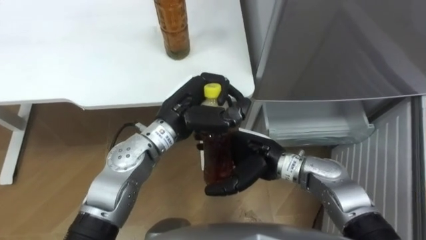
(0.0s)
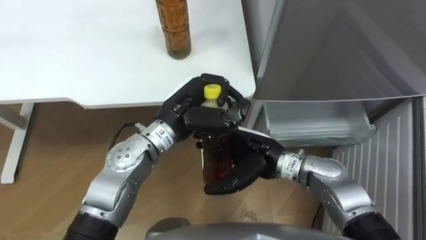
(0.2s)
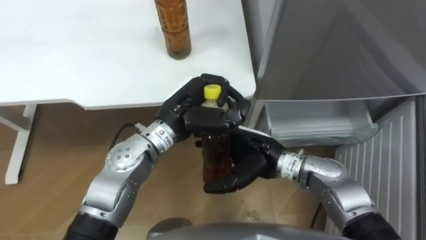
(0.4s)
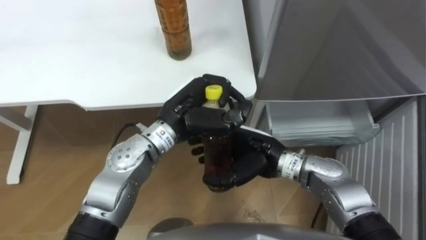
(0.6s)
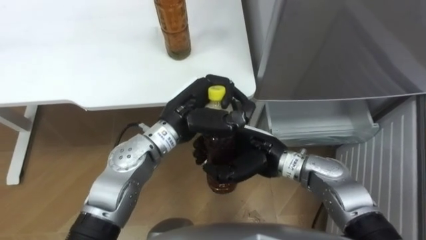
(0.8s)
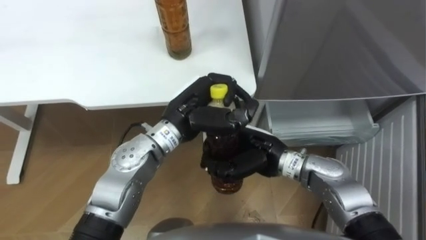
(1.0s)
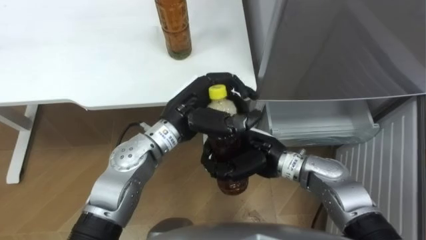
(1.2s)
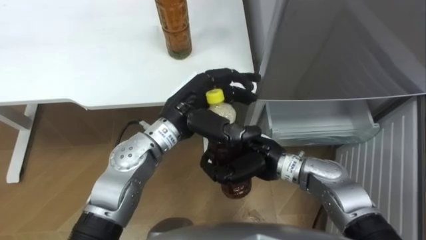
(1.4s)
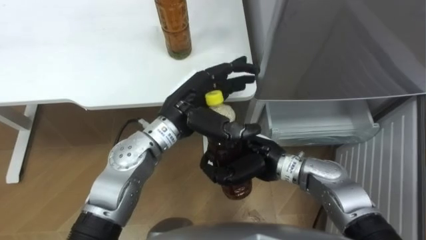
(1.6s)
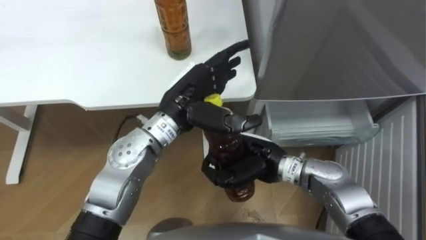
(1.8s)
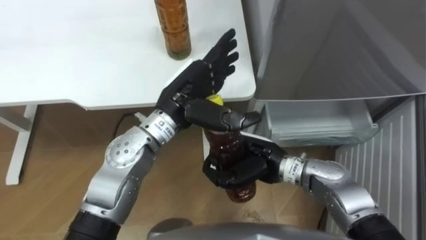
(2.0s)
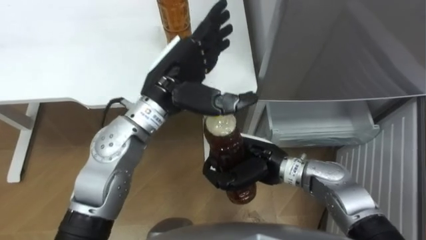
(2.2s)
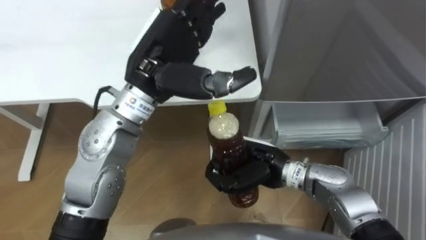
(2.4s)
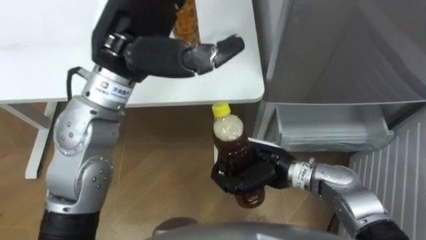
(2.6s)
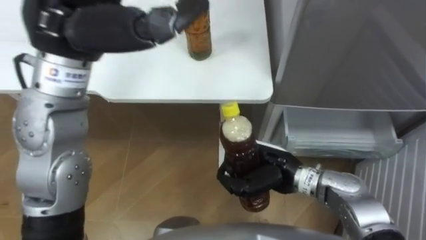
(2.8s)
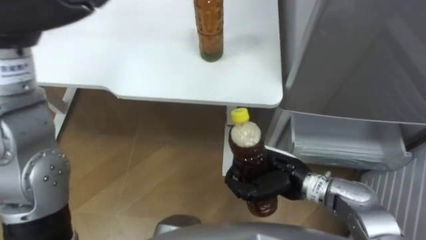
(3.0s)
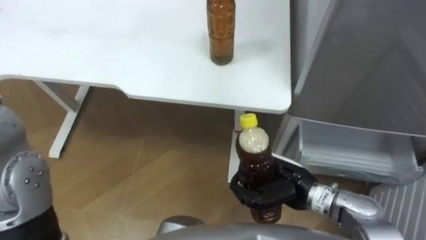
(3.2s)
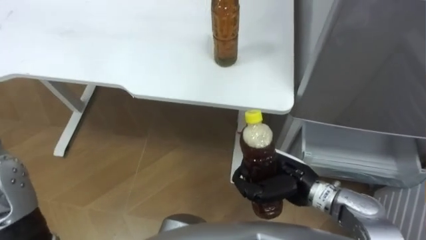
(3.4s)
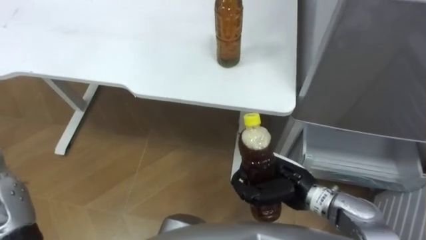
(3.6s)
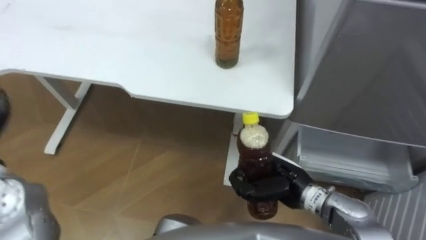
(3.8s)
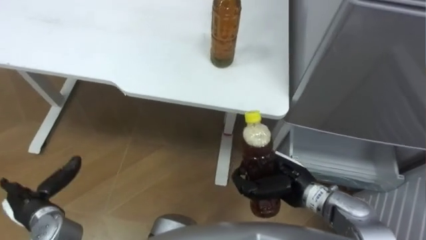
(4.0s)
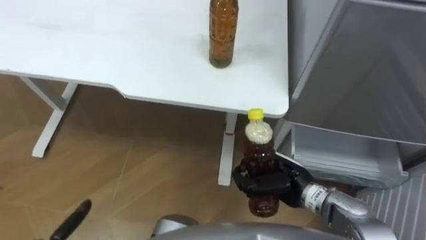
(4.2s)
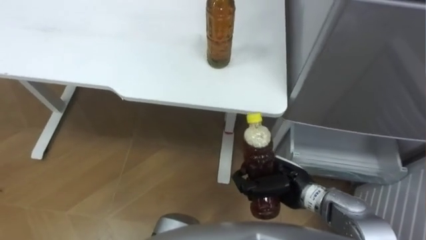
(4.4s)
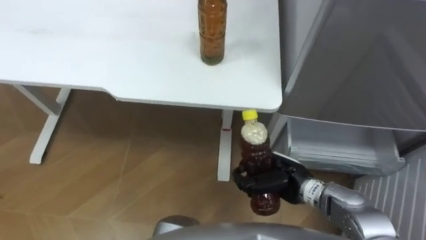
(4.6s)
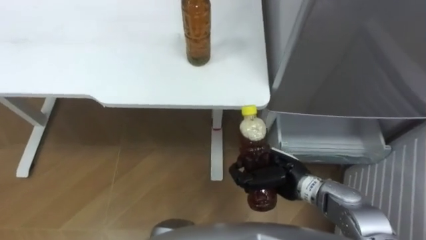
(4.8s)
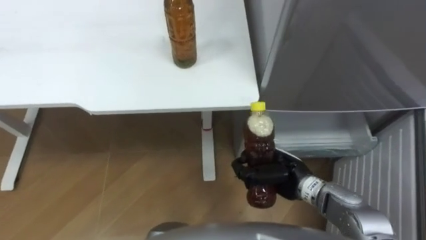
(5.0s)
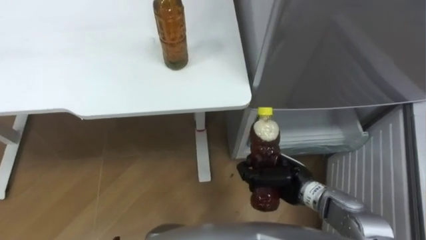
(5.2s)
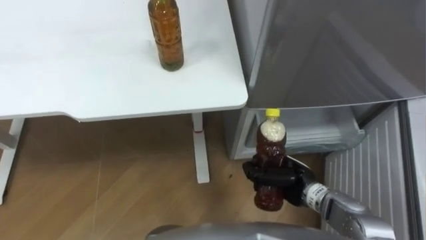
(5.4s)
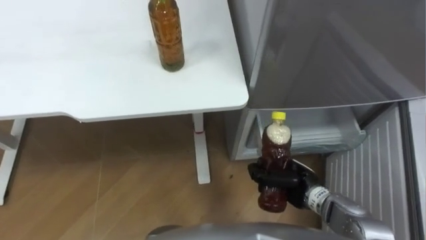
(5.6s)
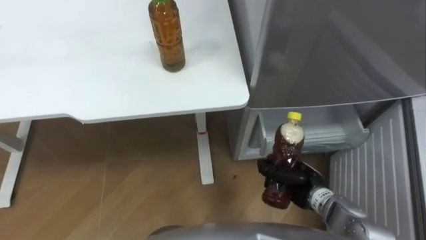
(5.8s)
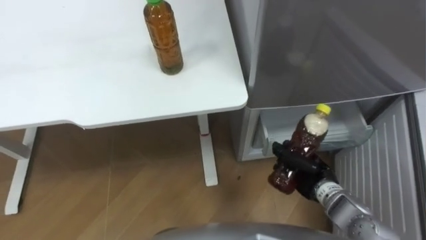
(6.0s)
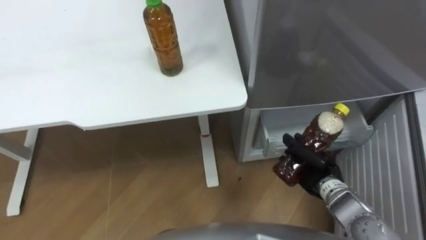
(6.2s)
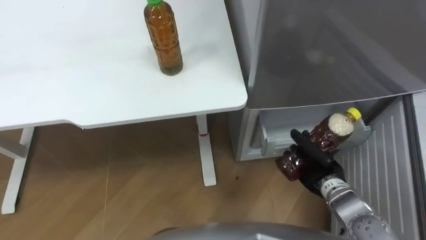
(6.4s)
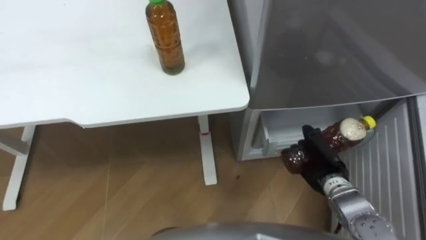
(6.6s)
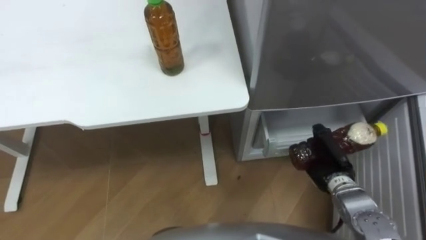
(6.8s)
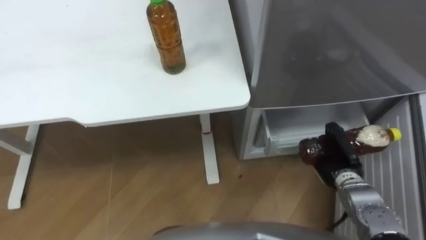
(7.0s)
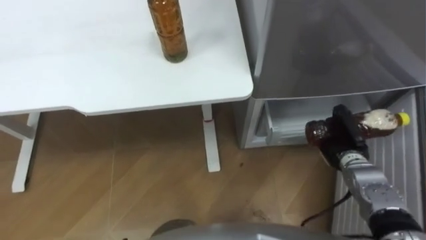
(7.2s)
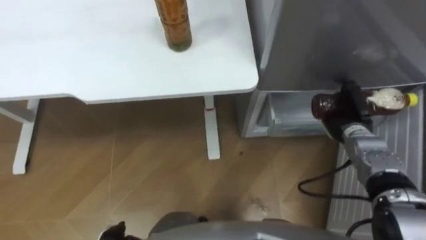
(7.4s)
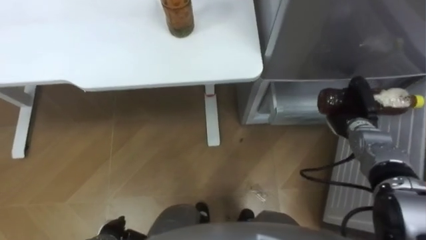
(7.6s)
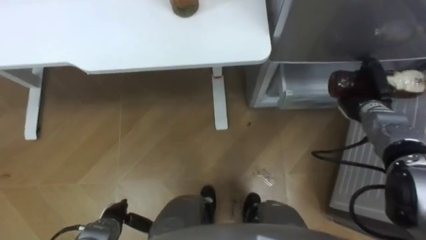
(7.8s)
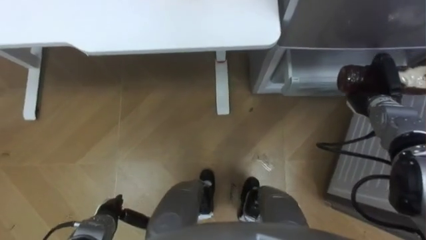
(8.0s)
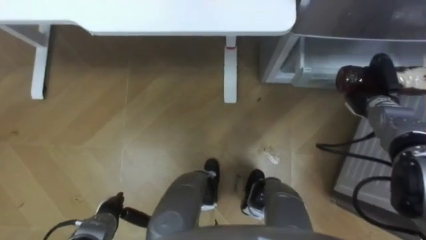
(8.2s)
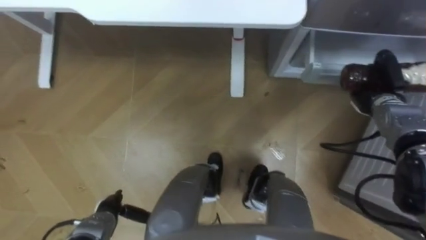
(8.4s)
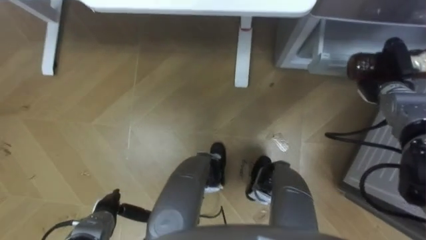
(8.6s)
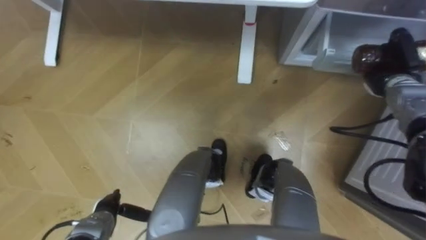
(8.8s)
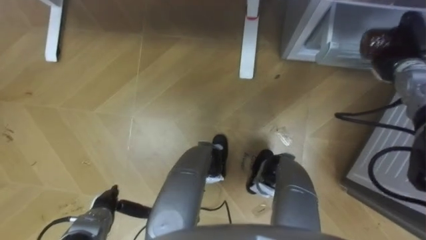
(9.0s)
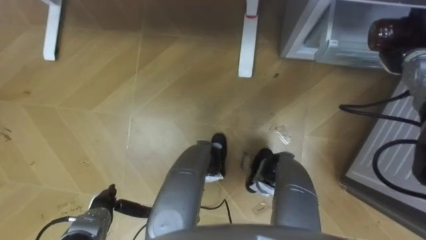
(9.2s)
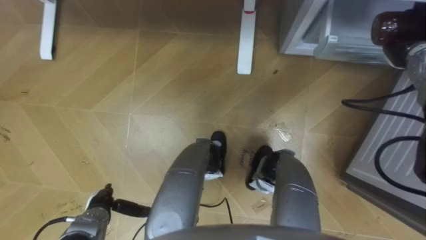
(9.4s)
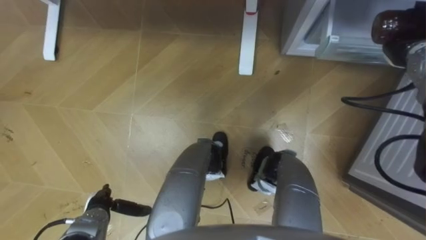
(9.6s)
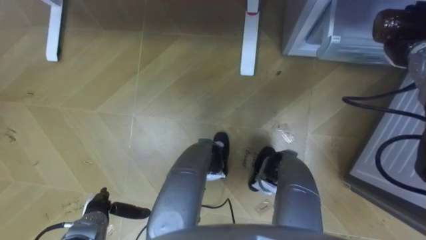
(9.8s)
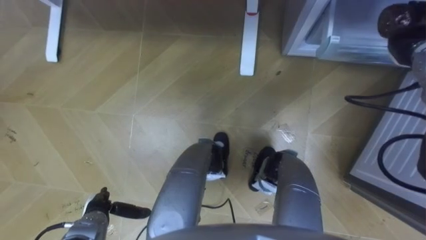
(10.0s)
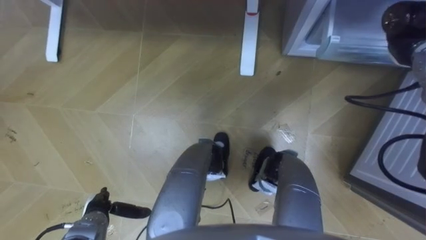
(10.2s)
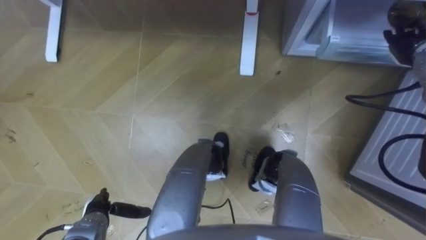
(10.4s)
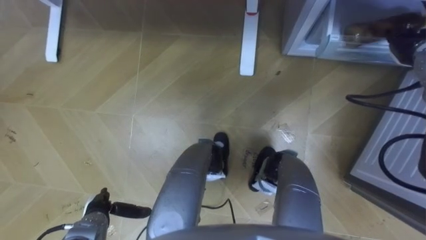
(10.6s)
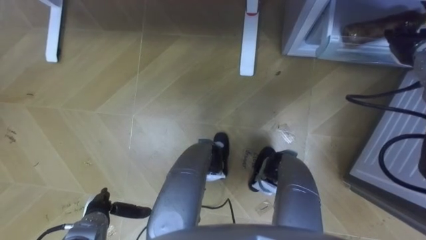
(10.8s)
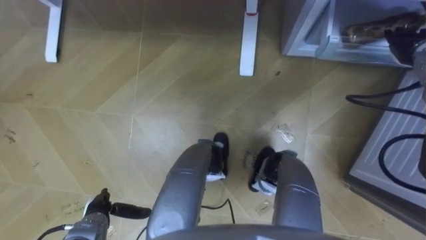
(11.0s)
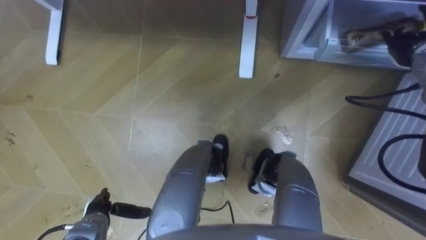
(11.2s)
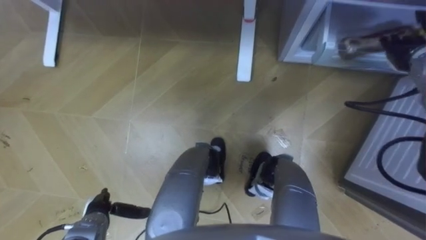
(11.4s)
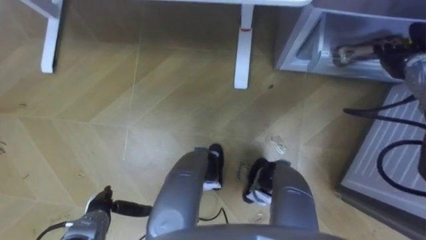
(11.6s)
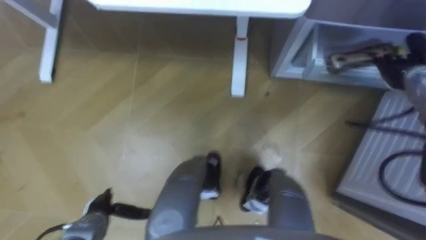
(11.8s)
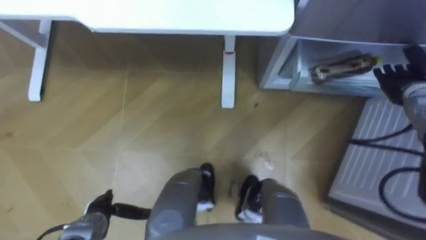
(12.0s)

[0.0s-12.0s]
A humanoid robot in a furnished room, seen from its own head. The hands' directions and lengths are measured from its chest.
Task of the whole recording: Place the drink on the table on the bottom shelf of the refrigerator, then close the drawer and the refrigerator door.
0.0s to 1.6s: The right hand closes; the left hand opens its fingers.
1.6s to 3.0s: The left hand goes about 30 cm upward and to the left. Meanwhile the right hand ends up approximately 5 cm from where it was.
4.4s to 6.0s: The right hand shifts approximately 5 cm to the right.
6.0s to 7.6s: The right hand travels forward and to the right by about 15 cm.
7.6s to 9.0s: The right hand moves upward, forward and to the right, approximately 15 cm.
9.0s to 10.4s: The right hand opens its fingers.
10.4s to 12.0s: The right hand travels downward by roughly 5 cm.

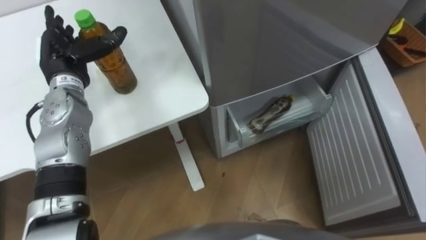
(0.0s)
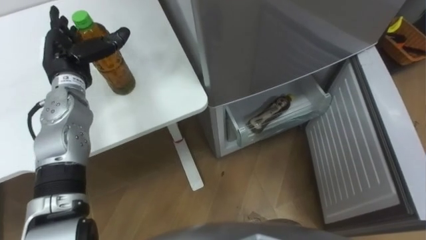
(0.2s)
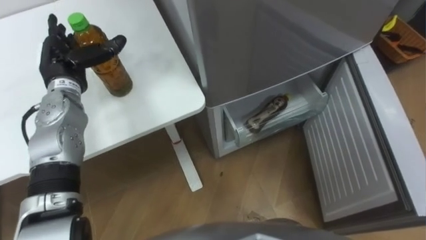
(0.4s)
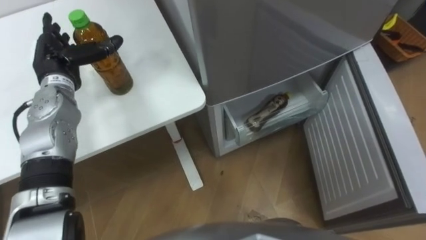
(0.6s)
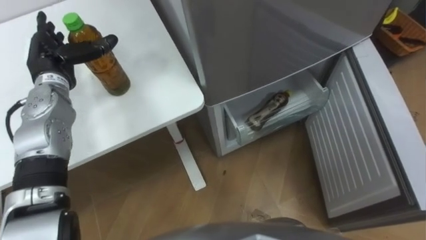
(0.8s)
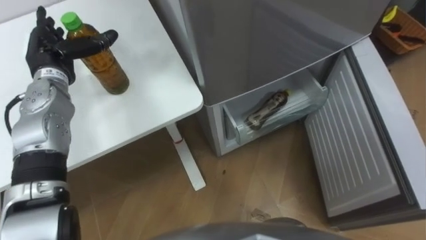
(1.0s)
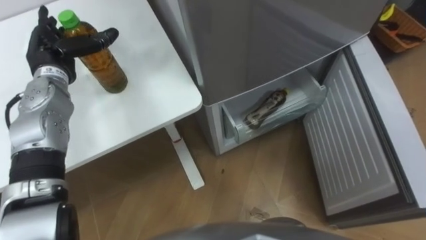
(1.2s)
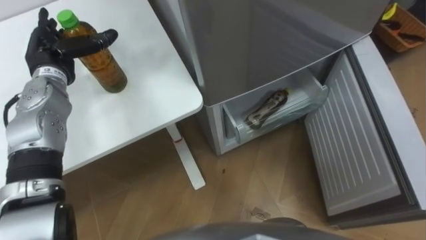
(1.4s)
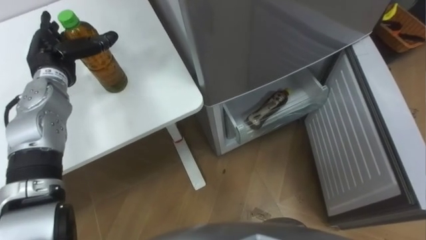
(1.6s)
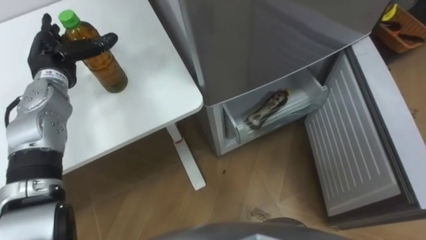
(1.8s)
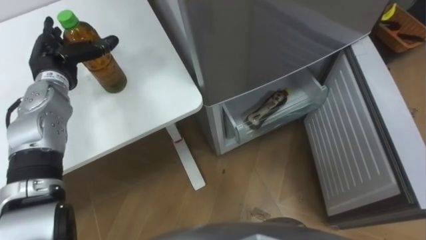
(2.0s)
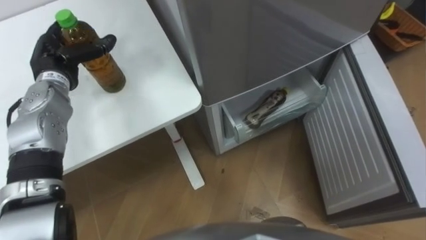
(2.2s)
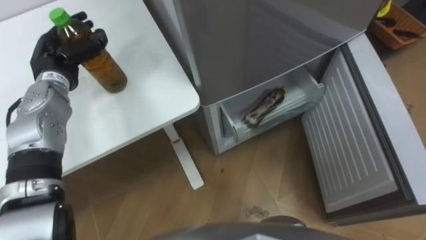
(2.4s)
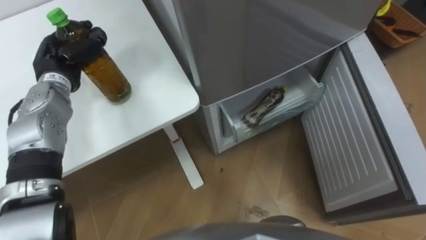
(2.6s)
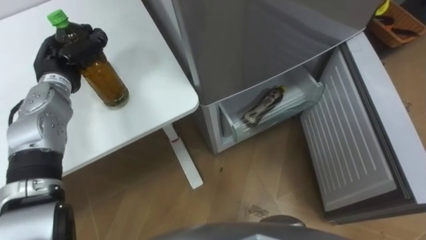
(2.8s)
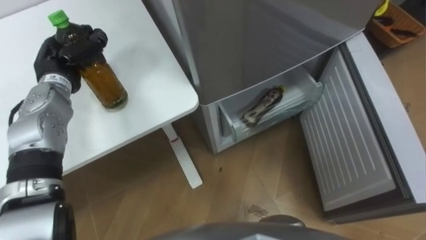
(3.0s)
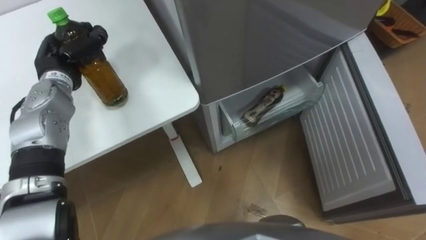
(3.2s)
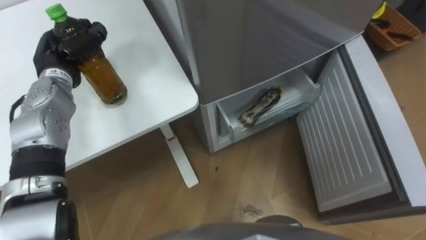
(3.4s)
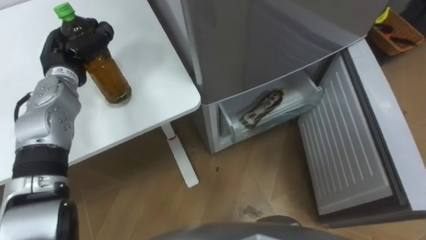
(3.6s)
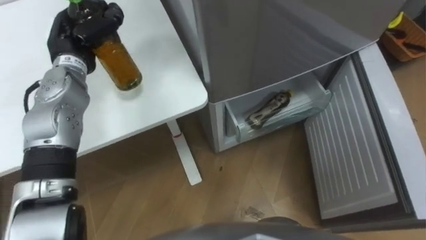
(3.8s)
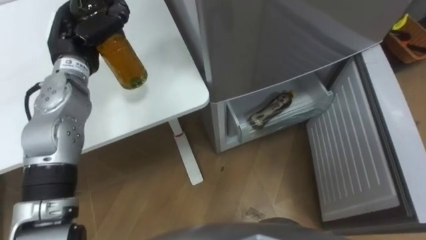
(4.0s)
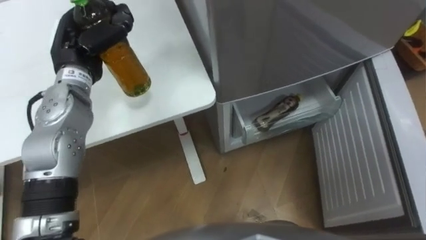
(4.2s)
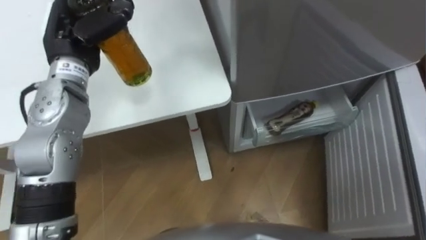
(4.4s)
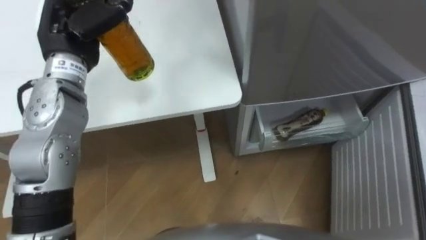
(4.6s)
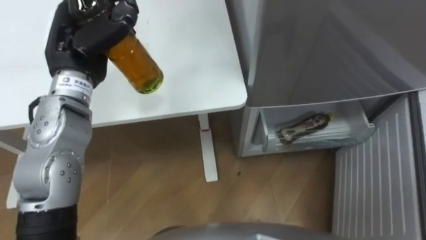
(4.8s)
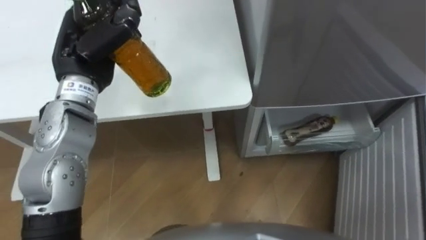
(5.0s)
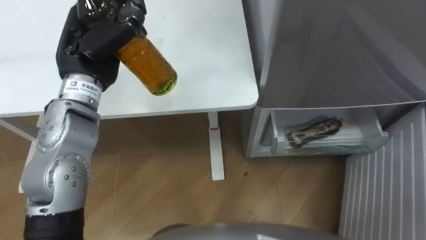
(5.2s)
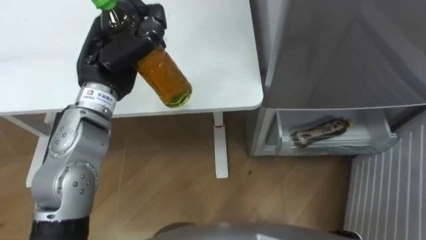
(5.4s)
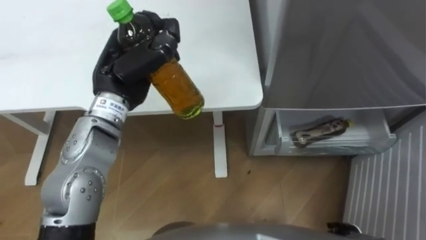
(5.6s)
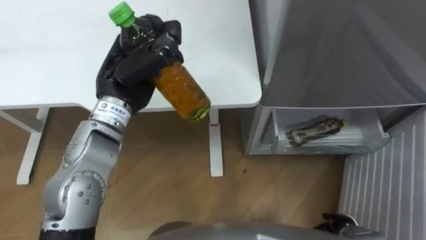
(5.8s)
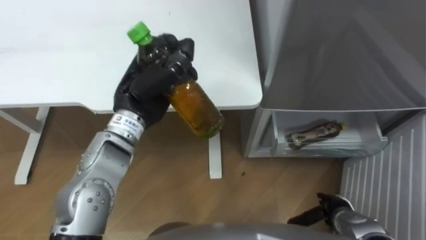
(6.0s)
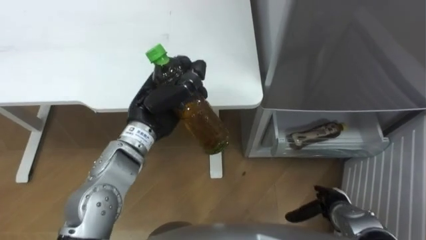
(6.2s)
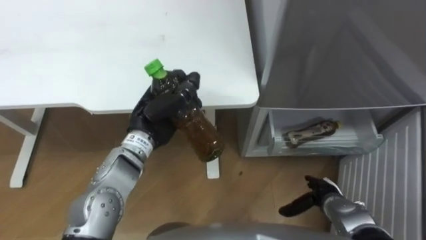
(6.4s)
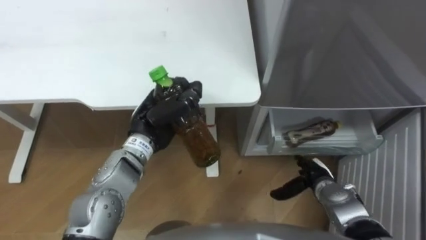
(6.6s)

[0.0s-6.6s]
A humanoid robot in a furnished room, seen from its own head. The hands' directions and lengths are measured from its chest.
Task of the whole recording: Place the drink on the table on the bottom shelf of the refrigerator, then close the drawer and the refrigerator door.
1.6s to 3.2s: The left hand closes.
3.2s to 5.0s: The left hand shifts about 15 cm upward, to the right and backward.
5.0s to 6.6s: The left hand shifts approximately 15 cm downward and to the right.
